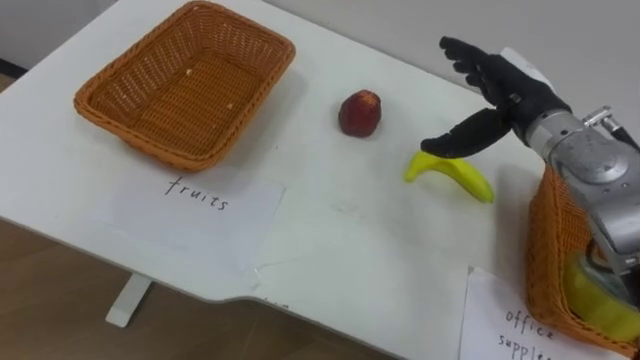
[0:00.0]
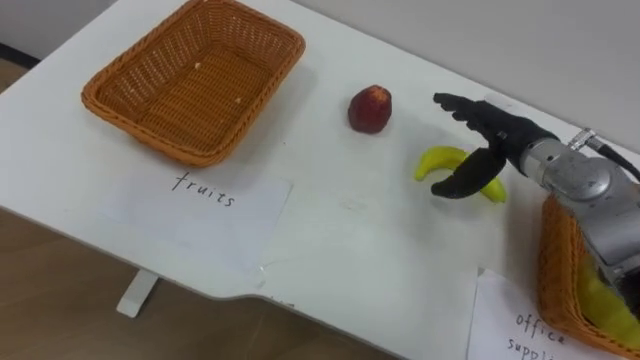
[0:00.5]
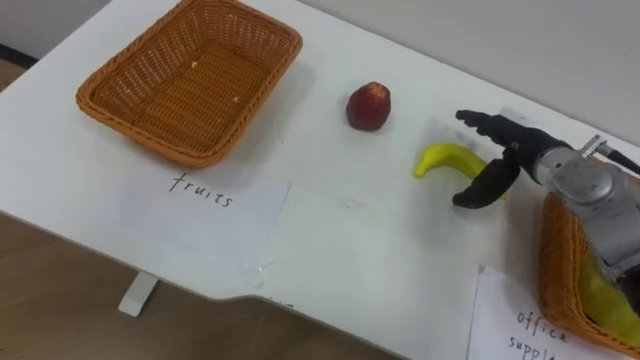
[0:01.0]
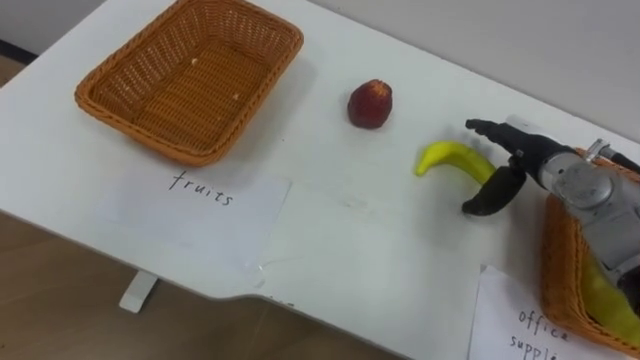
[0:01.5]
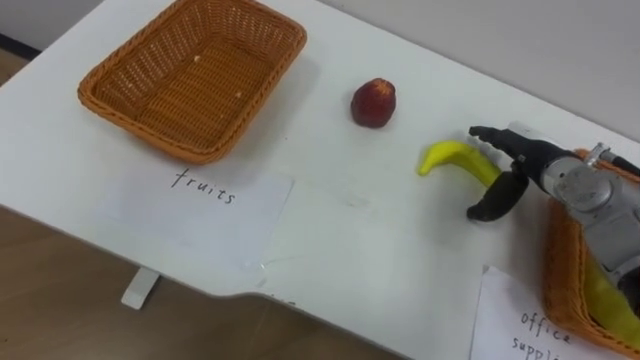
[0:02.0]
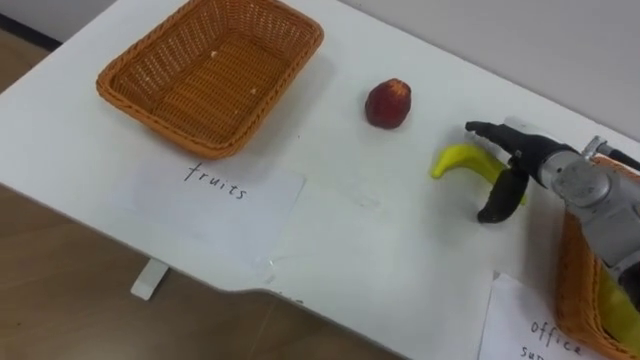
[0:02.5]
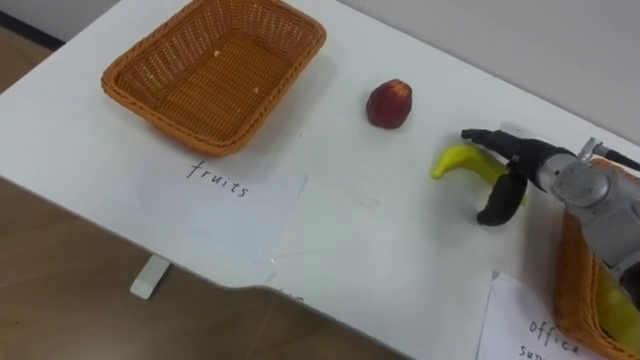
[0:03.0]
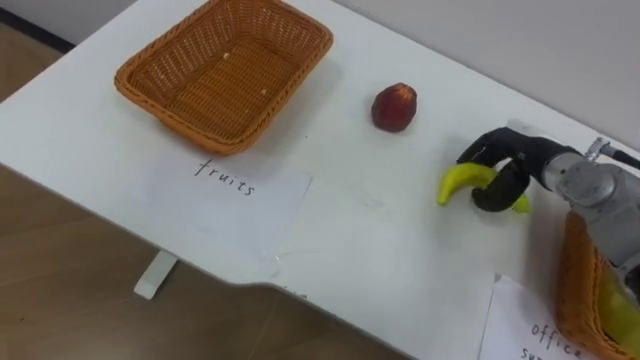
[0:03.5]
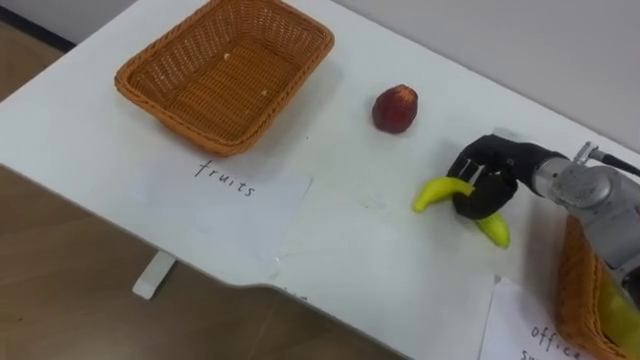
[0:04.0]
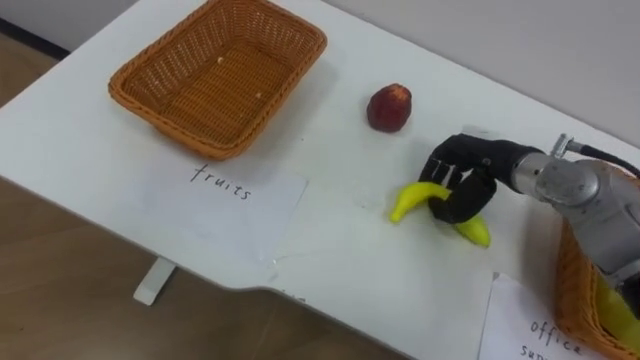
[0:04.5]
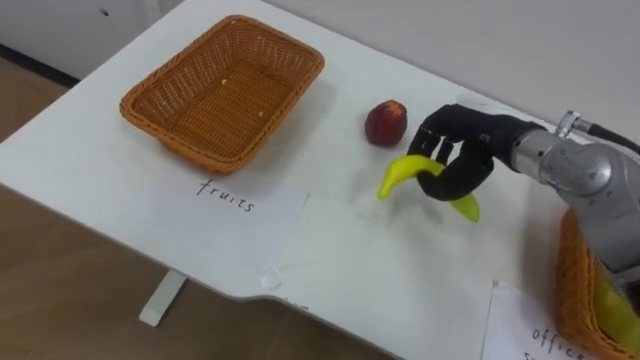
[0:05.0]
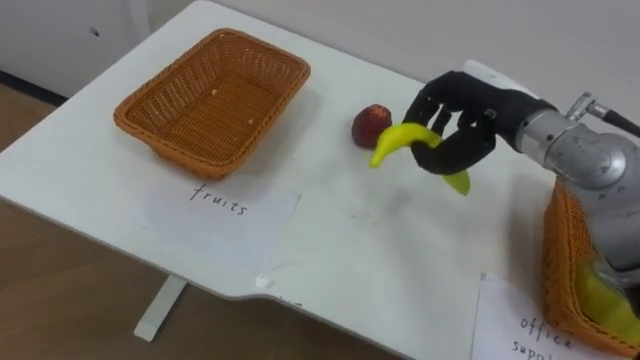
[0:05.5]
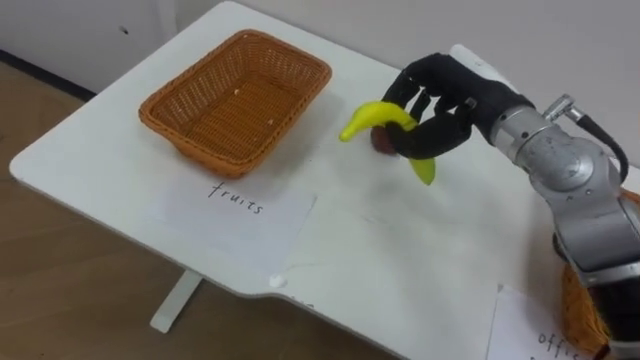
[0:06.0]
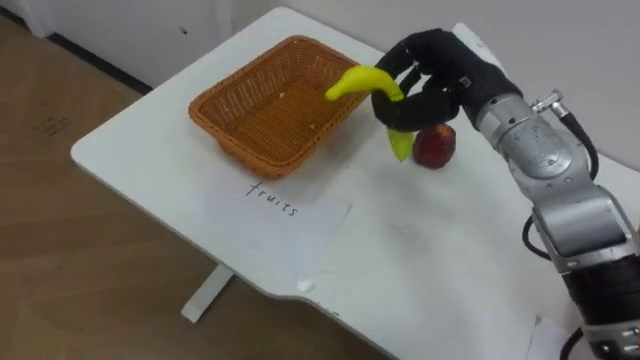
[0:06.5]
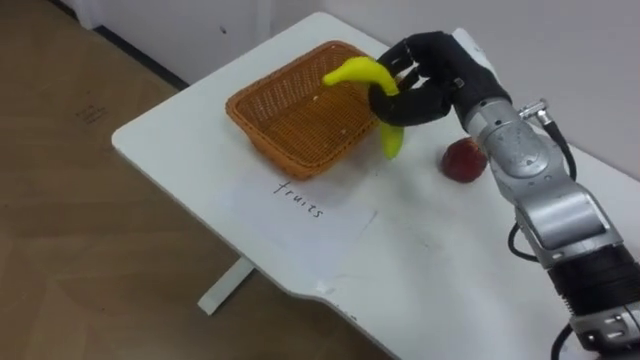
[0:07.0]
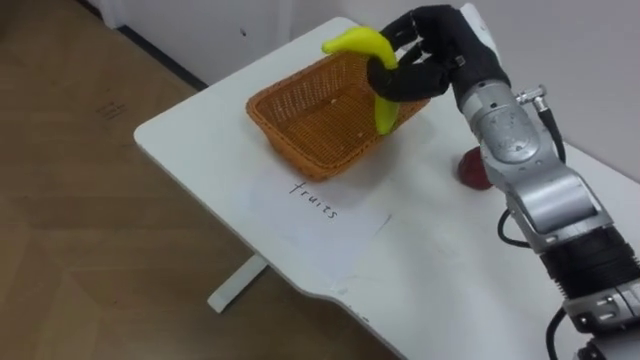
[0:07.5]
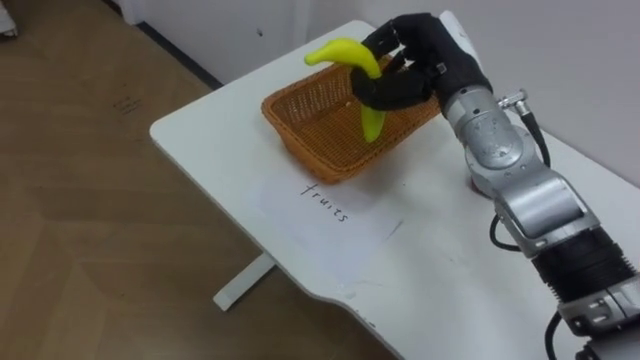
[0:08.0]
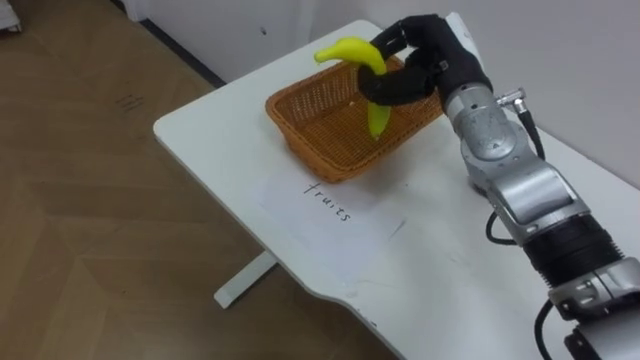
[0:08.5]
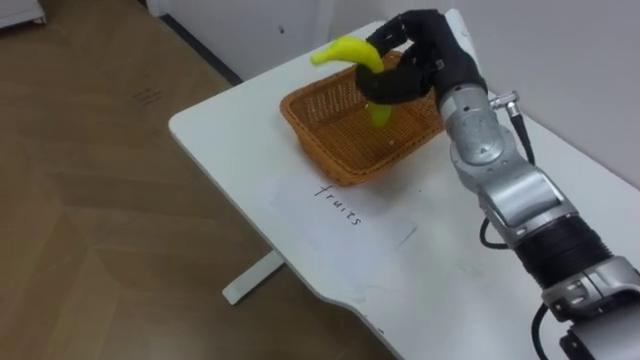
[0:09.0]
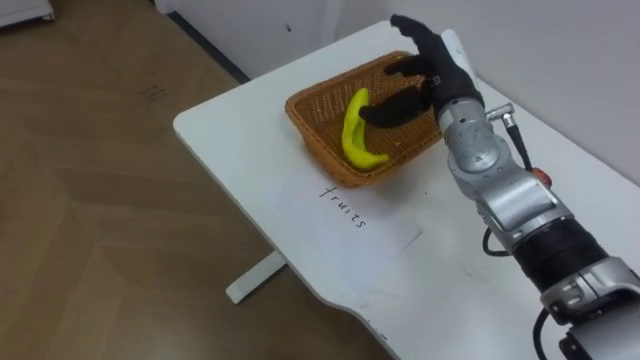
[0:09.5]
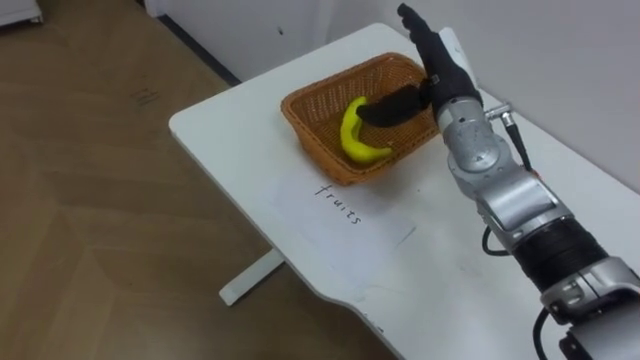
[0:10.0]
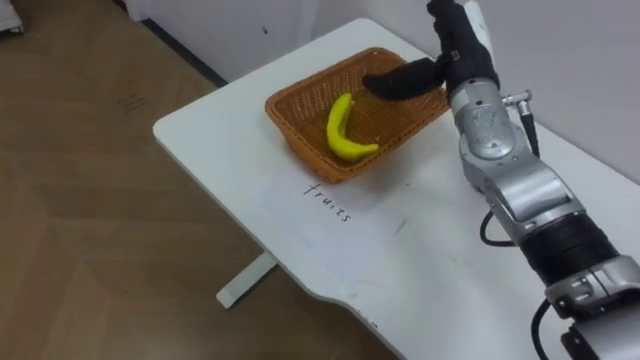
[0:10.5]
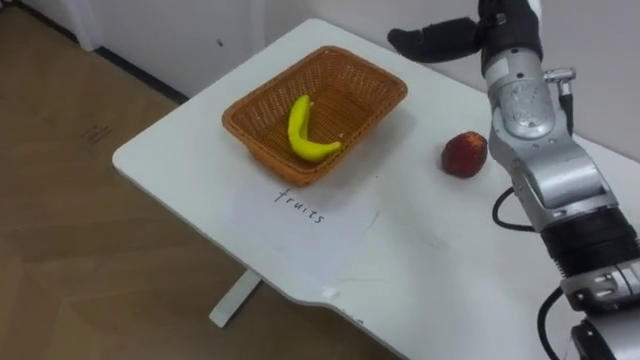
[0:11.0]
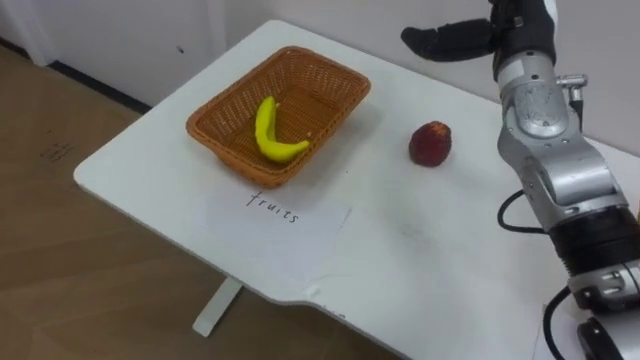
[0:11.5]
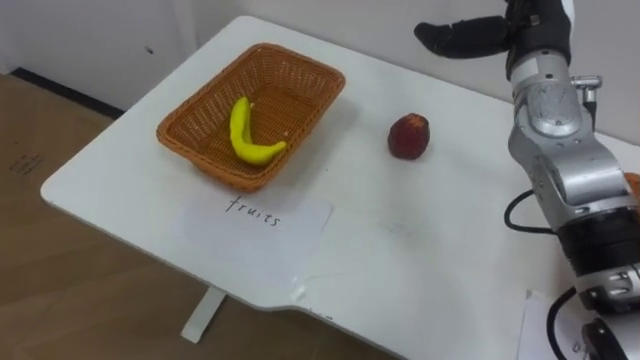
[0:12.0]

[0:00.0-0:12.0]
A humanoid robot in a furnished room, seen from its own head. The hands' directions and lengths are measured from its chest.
Task of the whole recording: Separate the items on the table and place them into the two baskets.
0:00.0 to 0:02.0: The right hand travels downward by approximately 10 cm.
0:02.0 to 0:04.0: The right hand closes up.
0:04.0 to 0:06.0: The right hand travels upward and to the left by approximately 15 cm.
0:08.0 to 0:10.0: The right hand opens its fingers.
0:10.0 to 0:12.0: The right hand moves to the right and upward, some 10 cm.

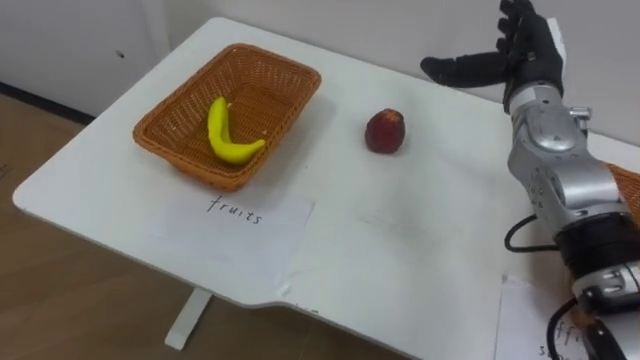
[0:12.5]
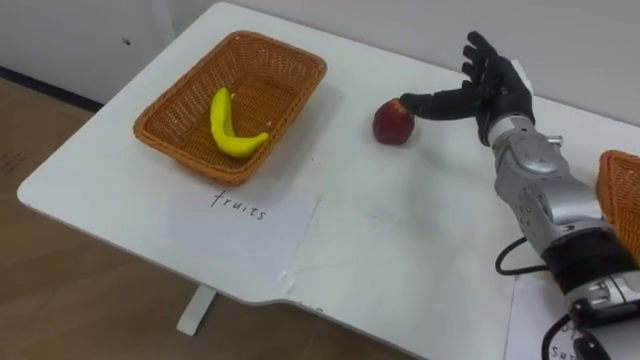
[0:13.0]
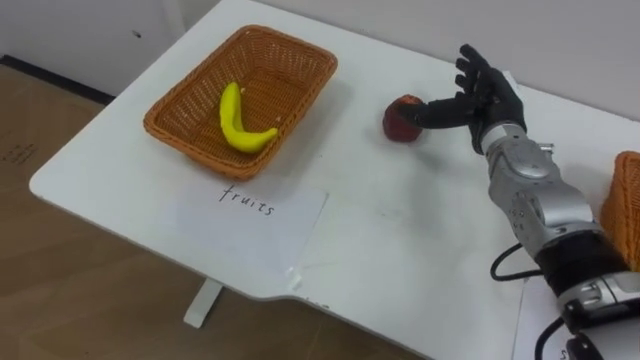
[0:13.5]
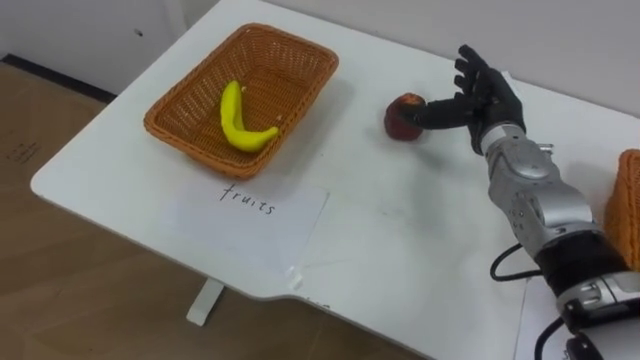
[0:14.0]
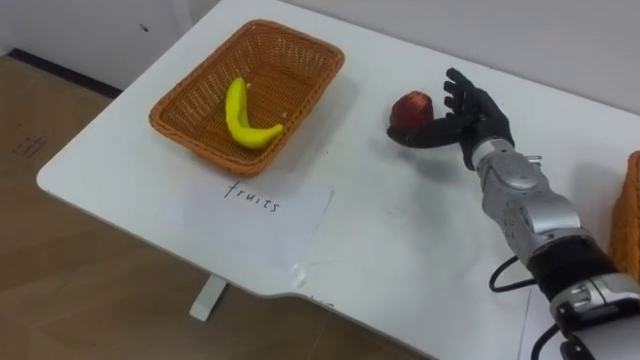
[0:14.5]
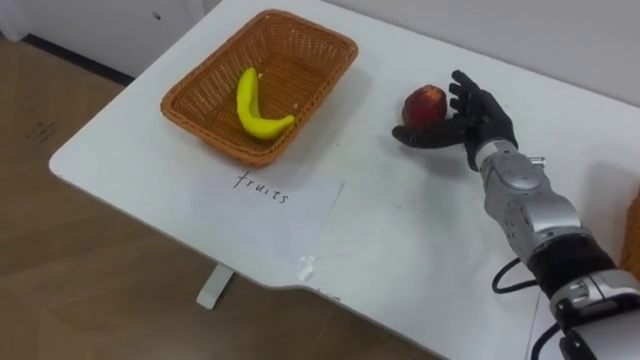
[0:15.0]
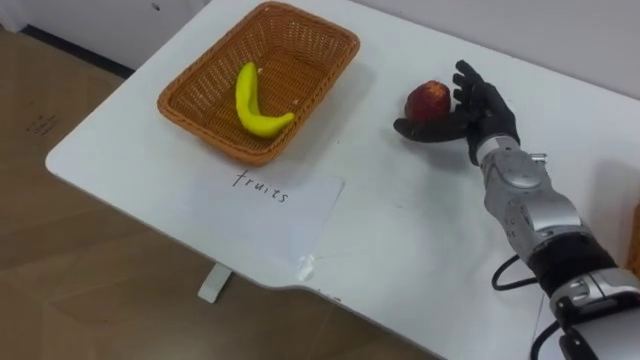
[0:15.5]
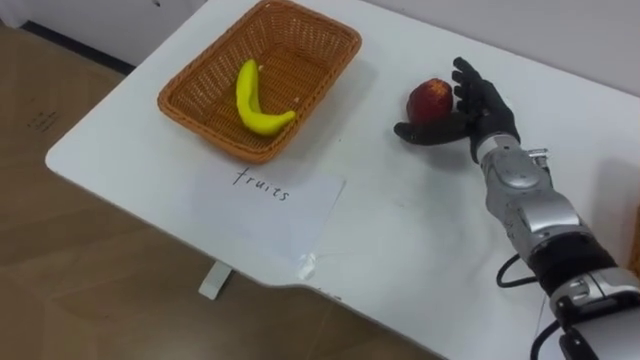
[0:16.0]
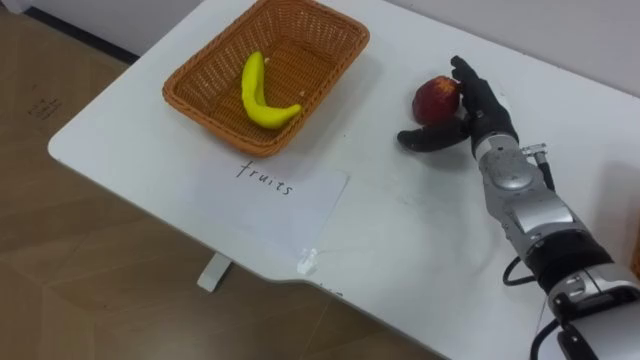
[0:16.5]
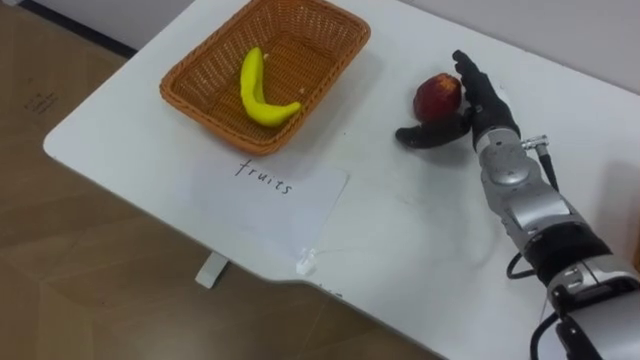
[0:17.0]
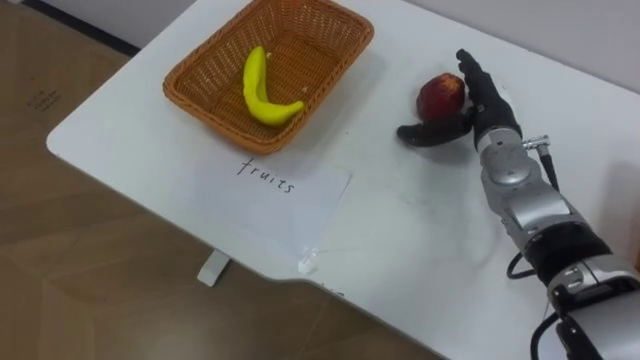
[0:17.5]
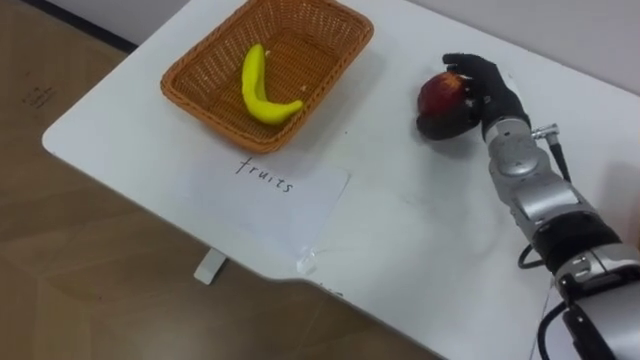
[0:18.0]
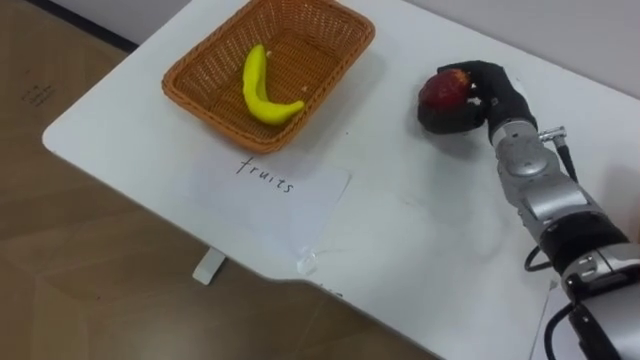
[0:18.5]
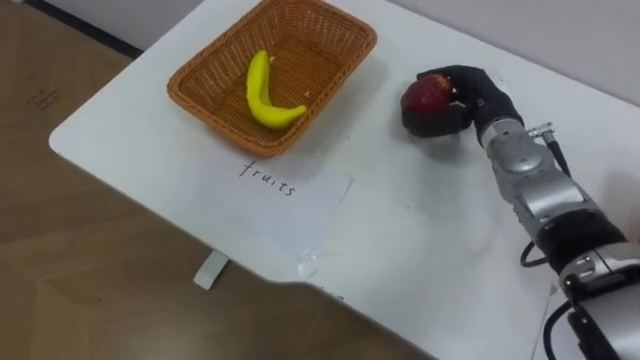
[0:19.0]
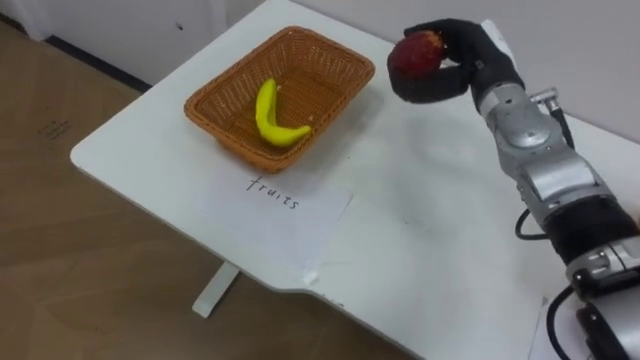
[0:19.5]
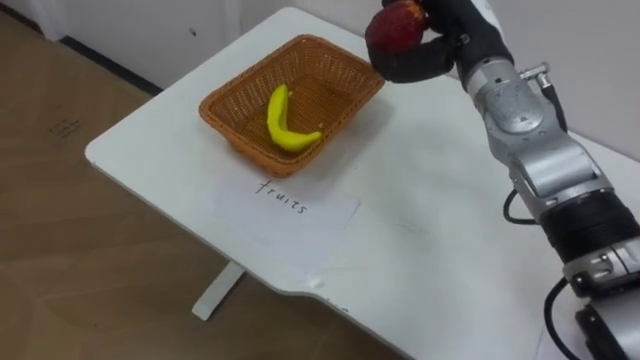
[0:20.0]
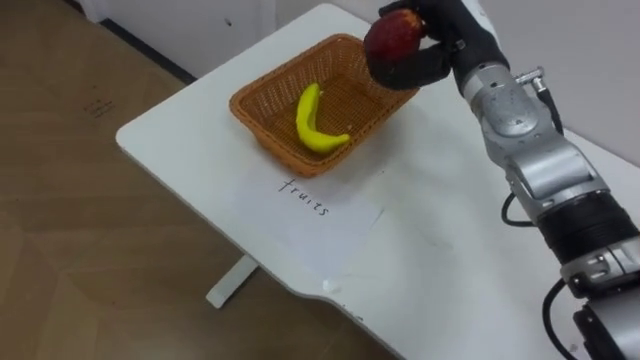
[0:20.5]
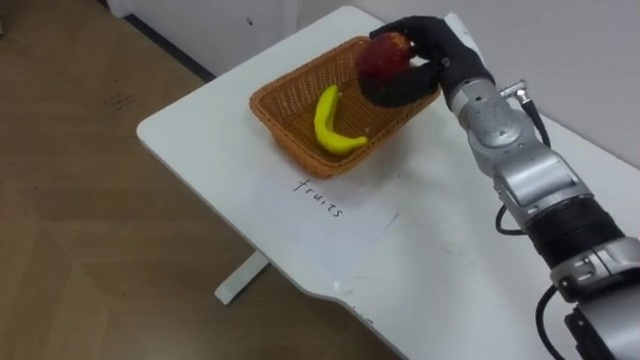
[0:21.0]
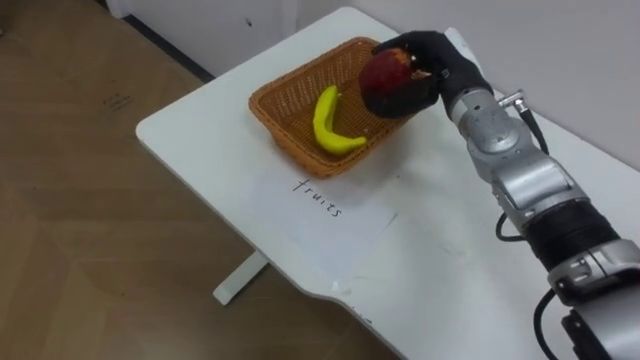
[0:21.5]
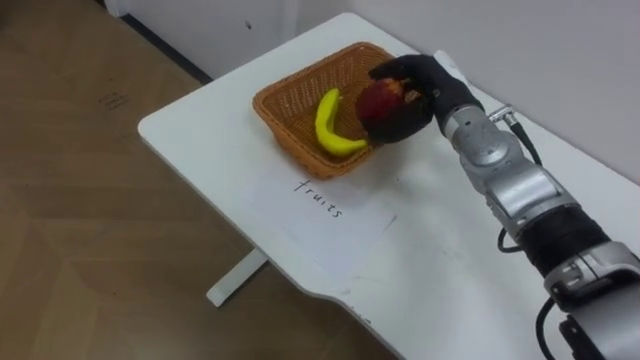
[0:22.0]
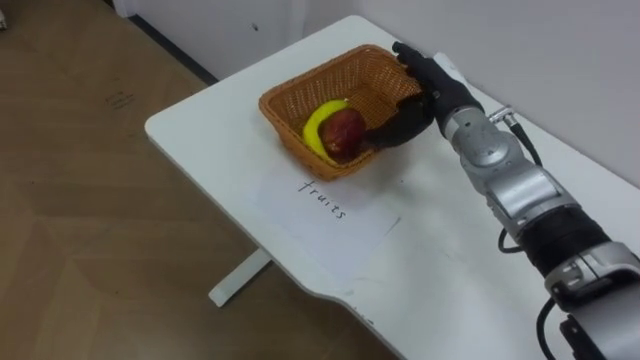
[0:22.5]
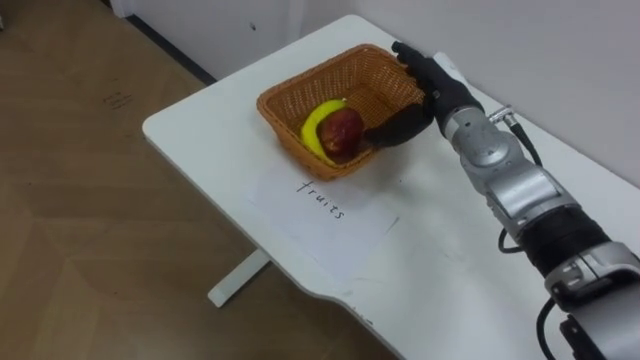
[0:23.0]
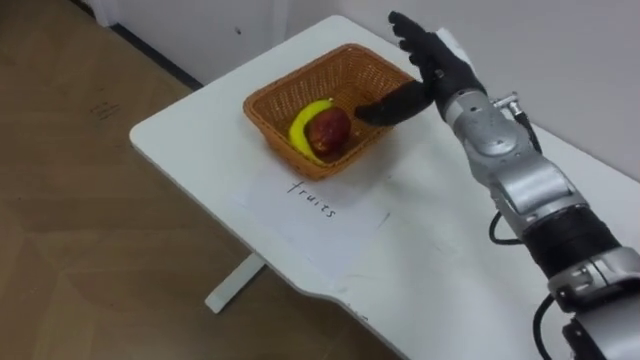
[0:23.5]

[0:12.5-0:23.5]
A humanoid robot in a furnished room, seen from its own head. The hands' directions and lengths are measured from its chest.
Task of the whole recording: Separate the items on the table and place them into the two baskets.
0:12.5 to 0:14.5: The right hand is displaced downward by approximately 10 cm.
0:18.0 to 0:20.0: The right hand goes some 10 cm upward and to the left.
0:21.5 to 0:23.5: The right hand opens up.
